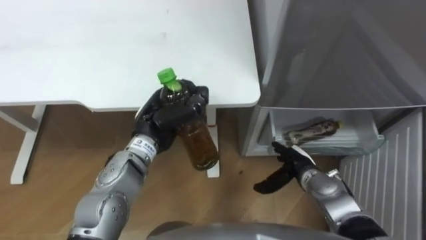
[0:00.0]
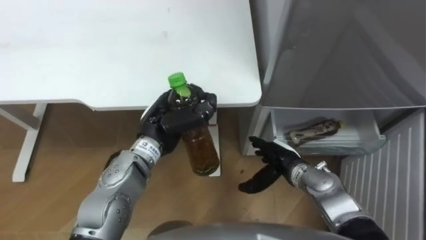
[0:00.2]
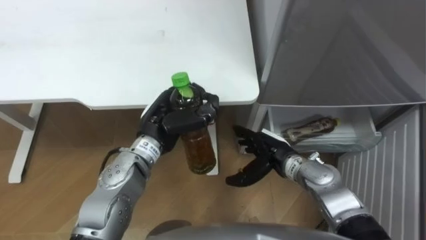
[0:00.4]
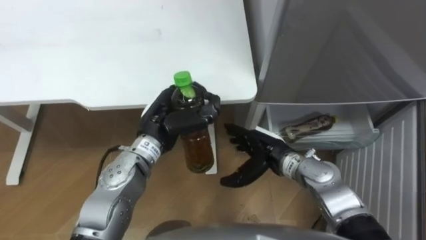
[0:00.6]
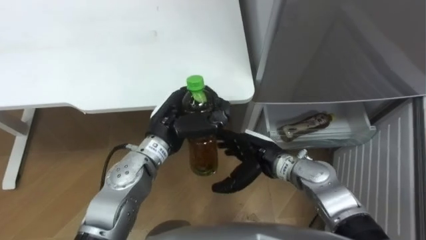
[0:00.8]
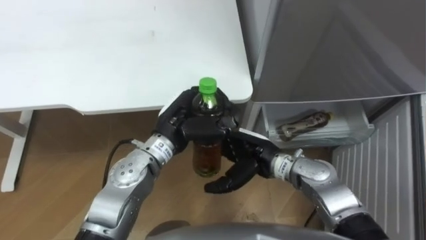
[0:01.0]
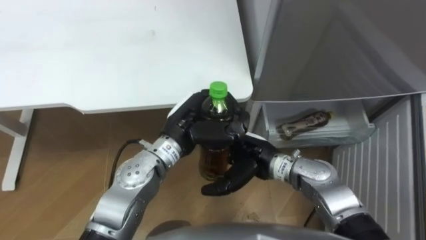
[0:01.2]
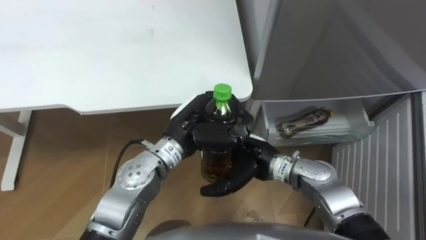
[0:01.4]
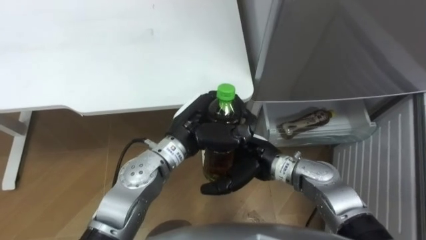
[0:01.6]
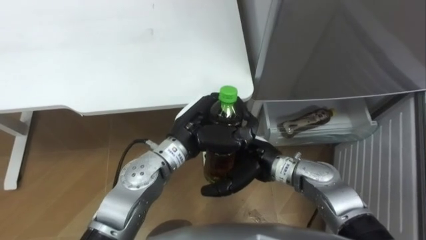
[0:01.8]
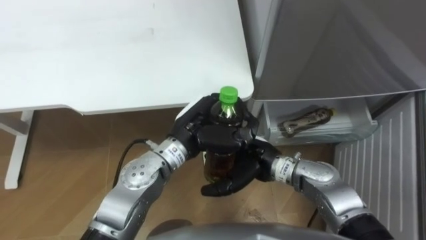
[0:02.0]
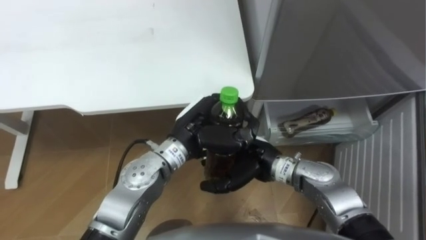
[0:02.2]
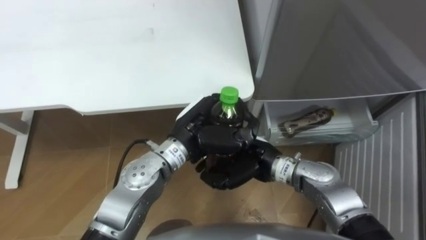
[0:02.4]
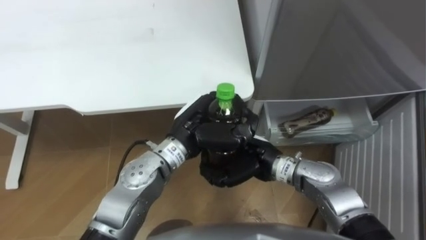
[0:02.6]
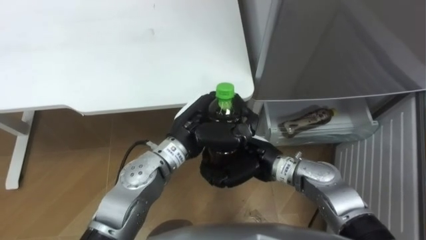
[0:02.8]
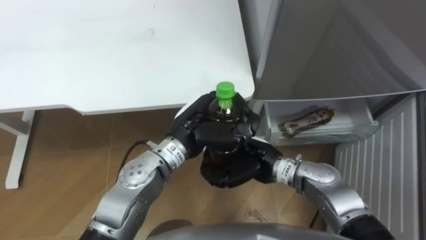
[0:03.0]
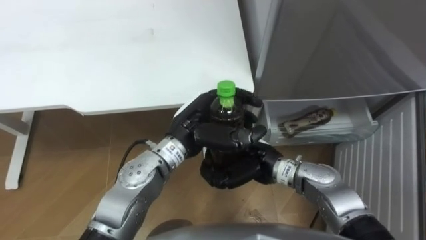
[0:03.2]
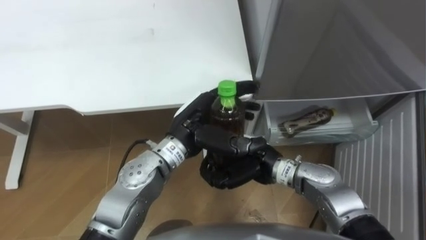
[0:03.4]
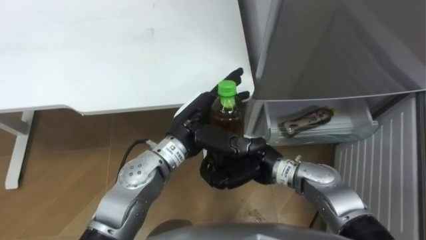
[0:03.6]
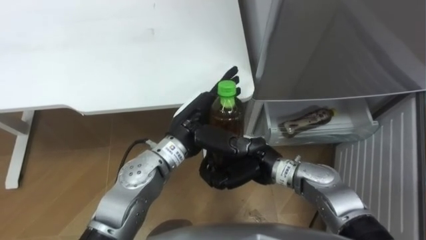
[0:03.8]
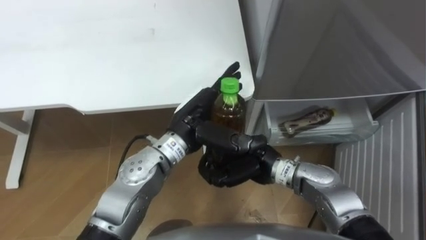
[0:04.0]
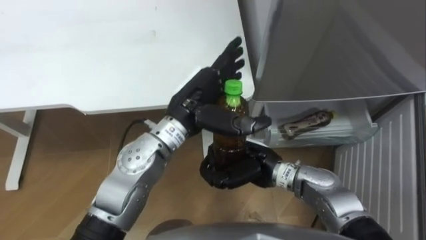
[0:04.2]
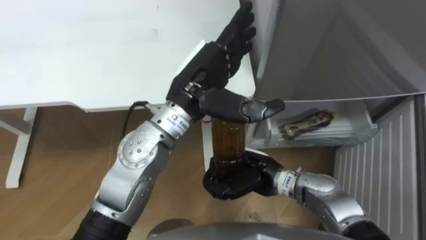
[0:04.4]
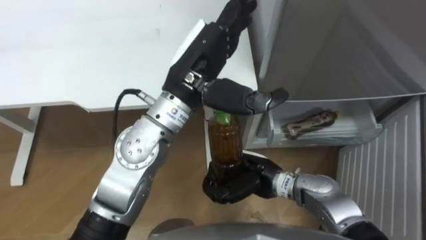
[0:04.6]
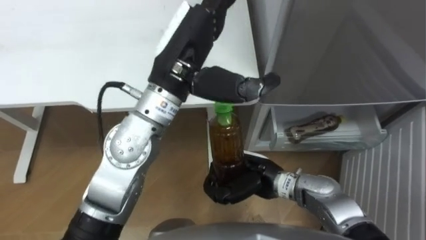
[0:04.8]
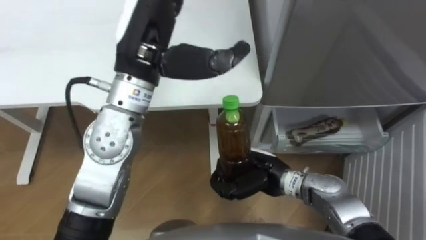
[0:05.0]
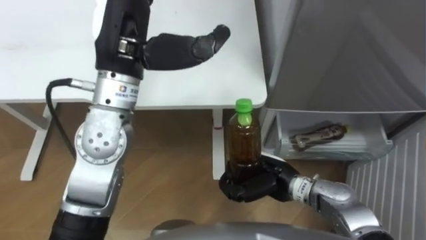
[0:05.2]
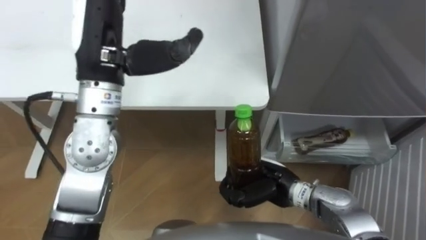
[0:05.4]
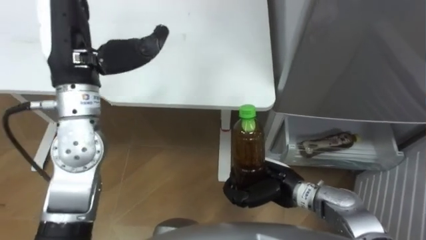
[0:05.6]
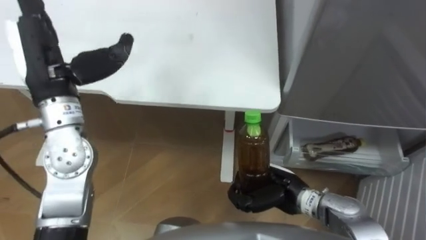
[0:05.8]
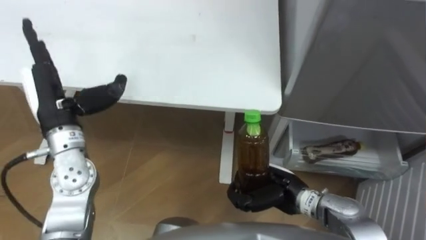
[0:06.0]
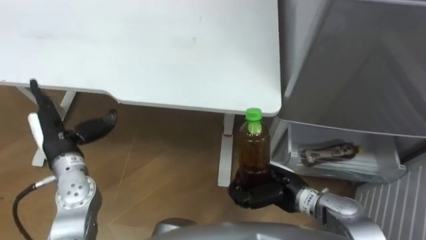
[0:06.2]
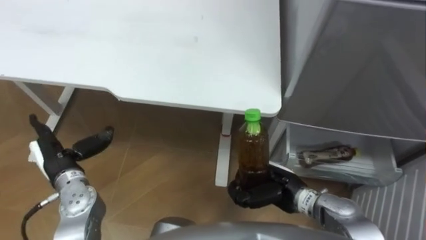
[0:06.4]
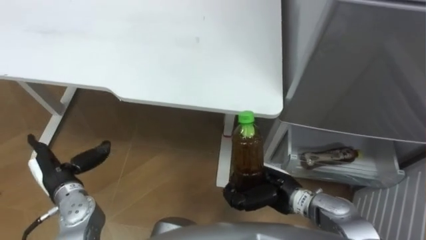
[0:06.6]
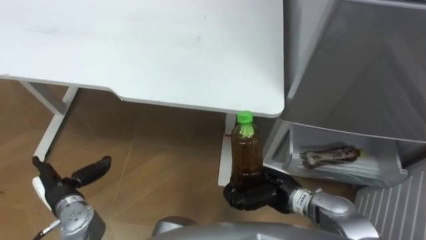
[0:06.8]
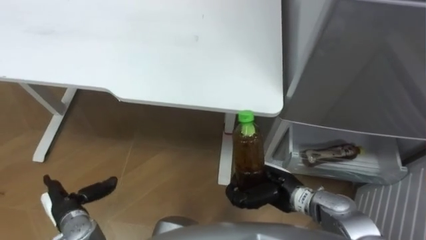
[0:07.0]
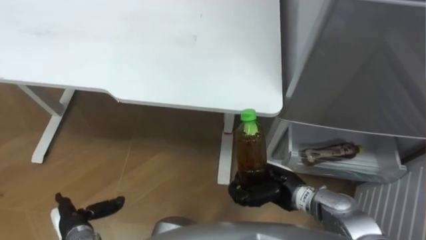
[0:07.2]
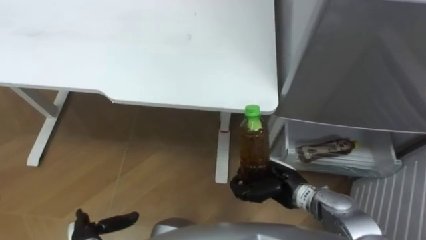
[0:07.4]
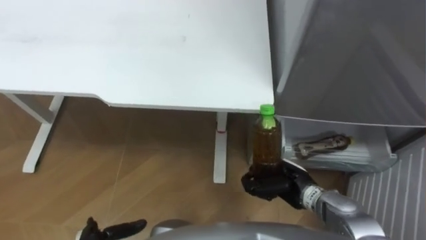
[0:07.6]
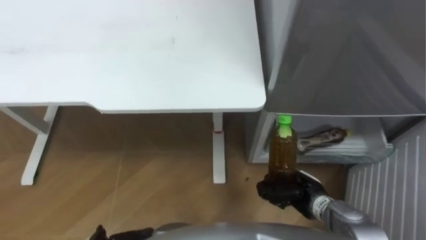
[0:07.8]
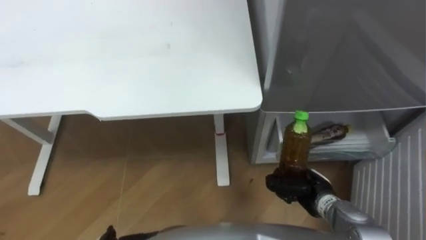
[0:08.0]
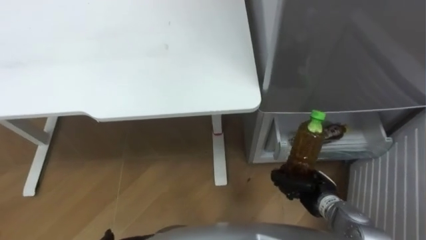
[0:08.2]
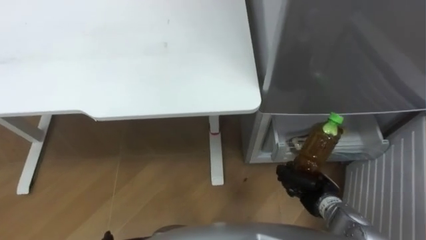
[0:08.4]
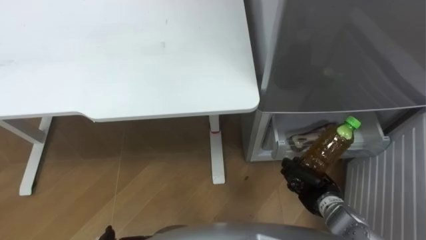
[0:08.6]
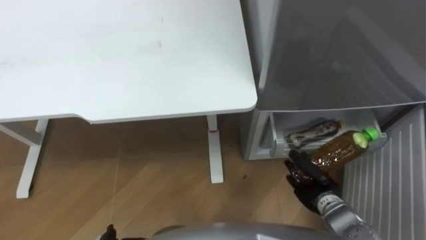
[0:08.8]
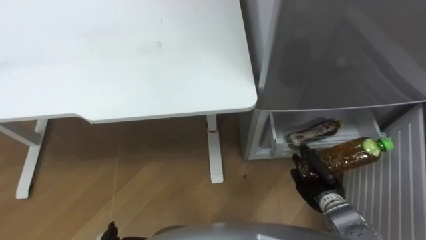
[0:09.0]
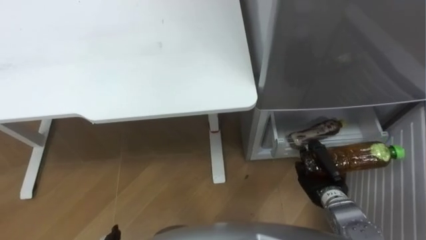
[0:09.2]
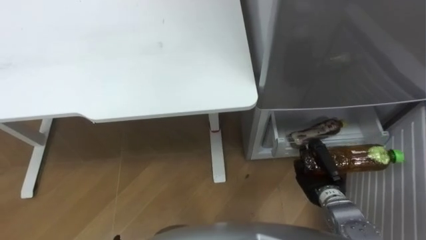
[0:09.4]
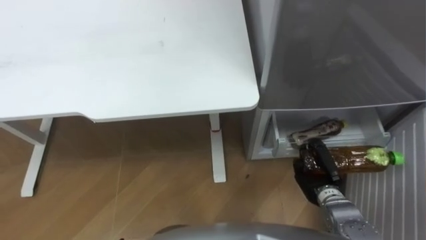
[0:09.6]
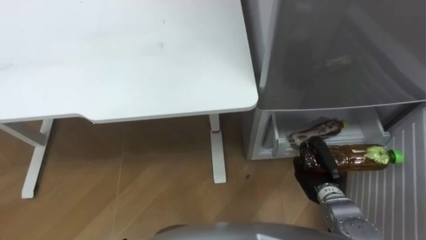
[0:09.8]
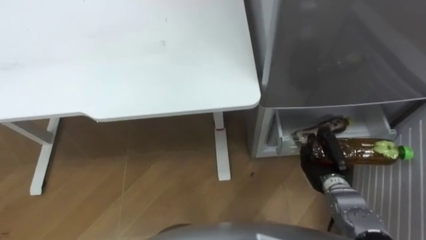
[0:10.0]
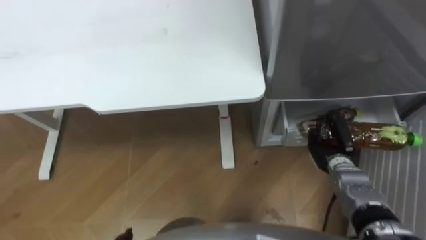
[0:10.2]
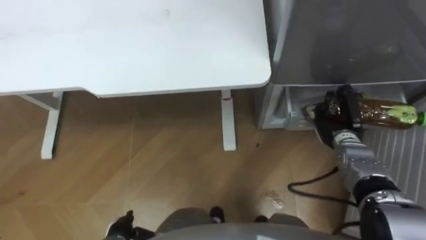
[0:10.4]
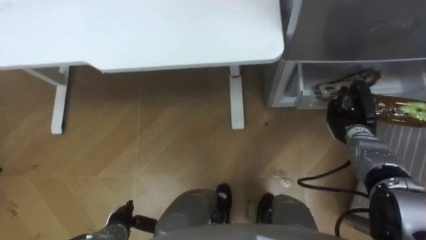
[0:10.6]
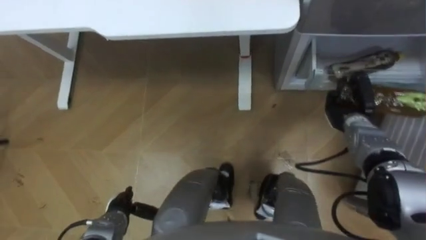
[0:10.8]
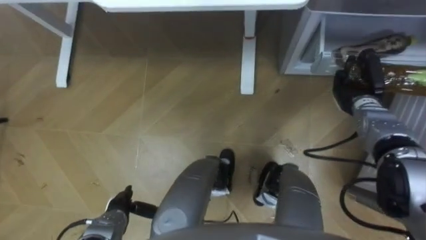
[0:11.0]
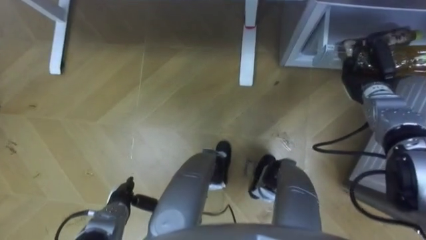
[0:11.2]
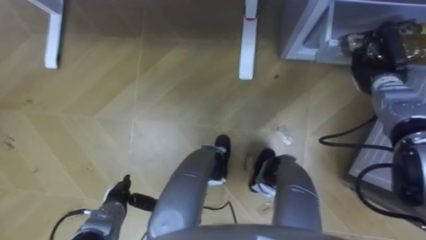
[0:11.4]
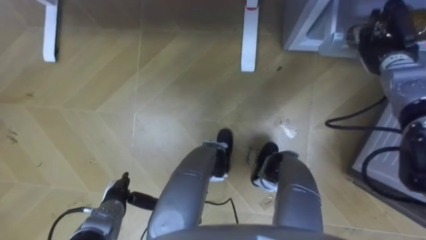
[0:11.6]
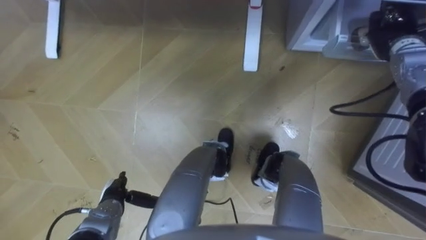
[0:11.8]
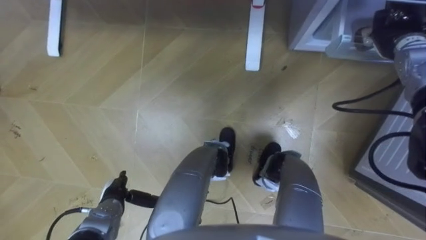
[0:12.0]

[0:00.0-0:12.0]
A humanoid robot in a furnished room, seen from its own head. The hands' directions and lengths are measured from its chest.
Task of the whole recording: Place the drink on the table on the bottom shelf of the refrigerator, then close the drawer and the refrigerator door.
0:00.0 to 0:01.6: The left hand goes about 5 cm to the right. The right hand travels to the left and upward by about 15 cm.
0:01.6 to 0:03.0: The right hand closes its fingers.
0:03.0 to 0:04.4: The left hand moves upward, some 10 cm, and opens its fingers.
0:04.4 to 0:06.0: The right hand shifts approximately 5 cm to the right, while the left hand travels to the left by roughly 25 cm.
0:07.6 to 0:09.0: The right hand goes some 10 cm to the right.
0:09.0 to 0:10.4: The right hand travels forward by approximately 10 cm.
0:10.4 to 0:12.0: The right hand travels upward, forward and to the right by some 25 cm.

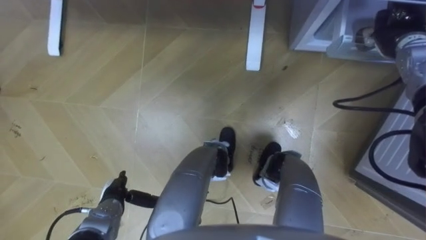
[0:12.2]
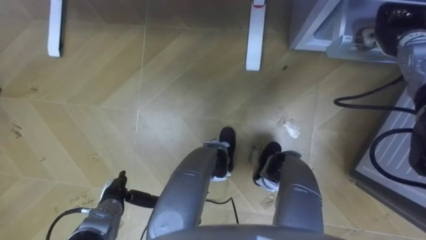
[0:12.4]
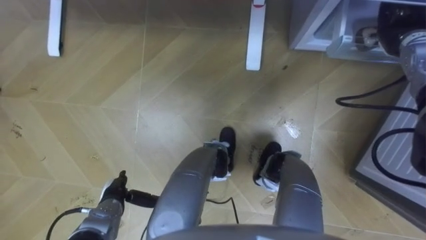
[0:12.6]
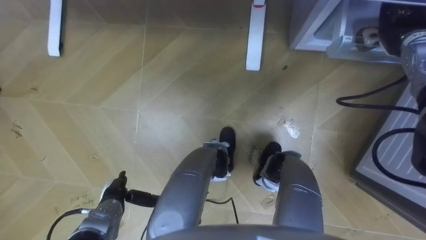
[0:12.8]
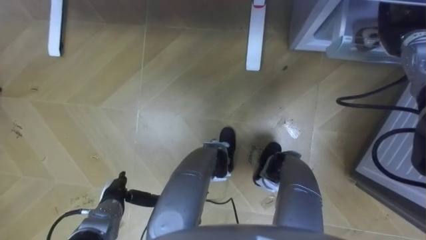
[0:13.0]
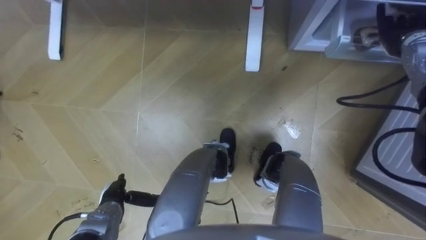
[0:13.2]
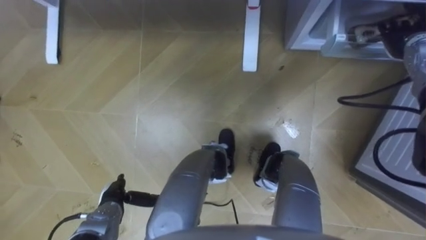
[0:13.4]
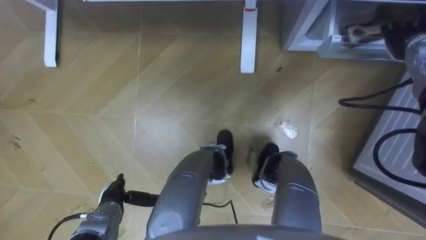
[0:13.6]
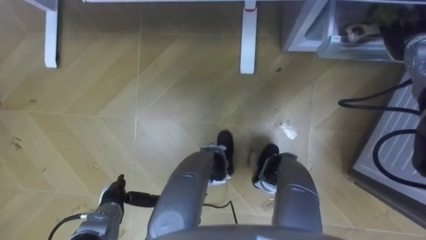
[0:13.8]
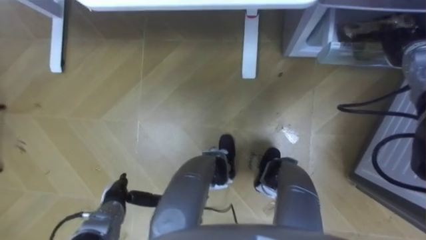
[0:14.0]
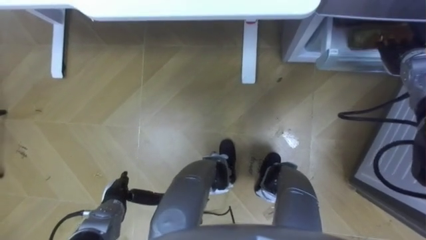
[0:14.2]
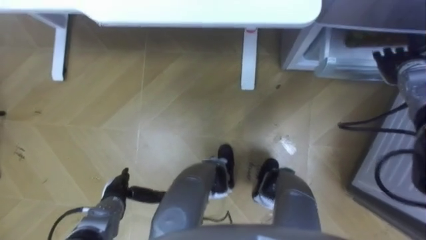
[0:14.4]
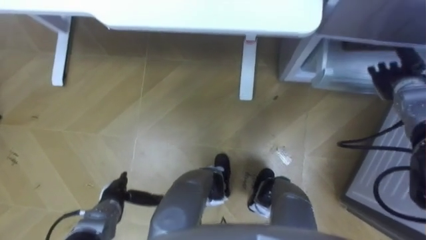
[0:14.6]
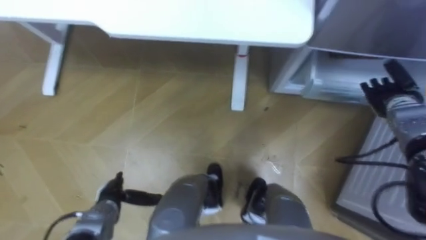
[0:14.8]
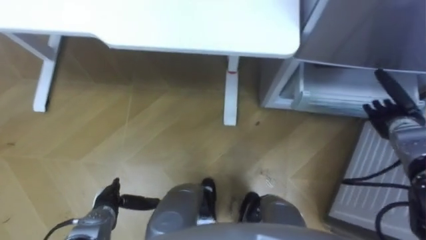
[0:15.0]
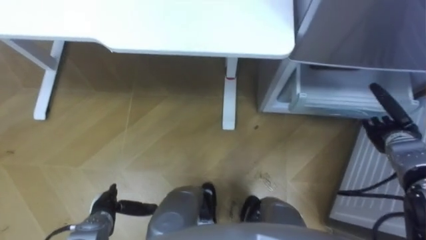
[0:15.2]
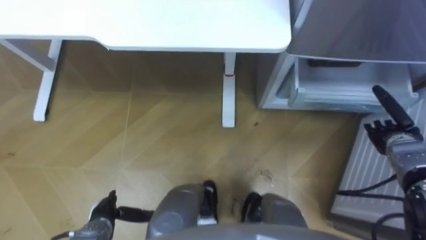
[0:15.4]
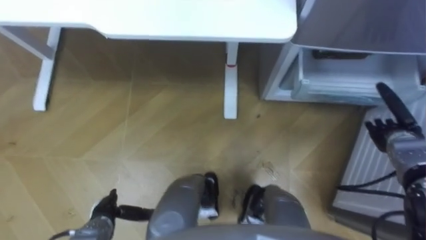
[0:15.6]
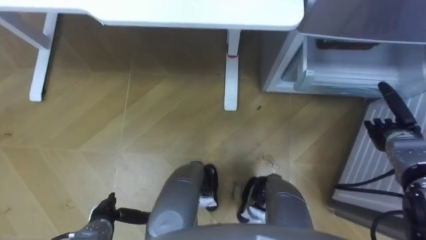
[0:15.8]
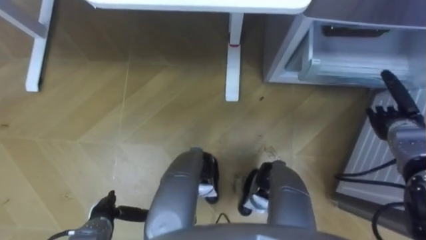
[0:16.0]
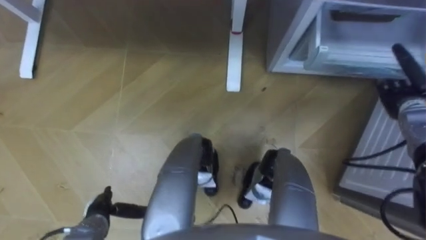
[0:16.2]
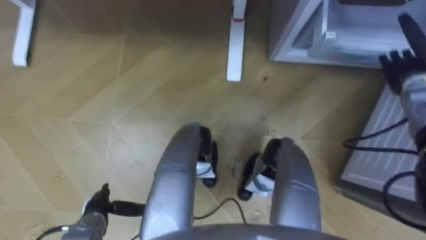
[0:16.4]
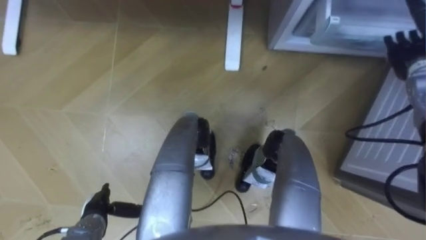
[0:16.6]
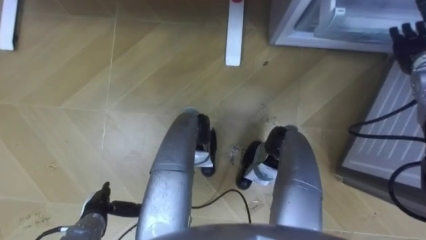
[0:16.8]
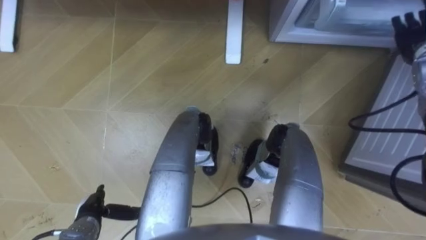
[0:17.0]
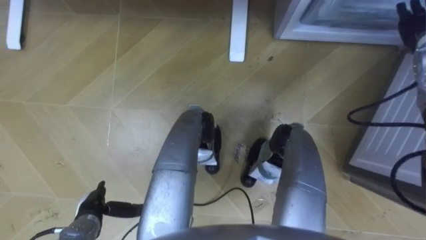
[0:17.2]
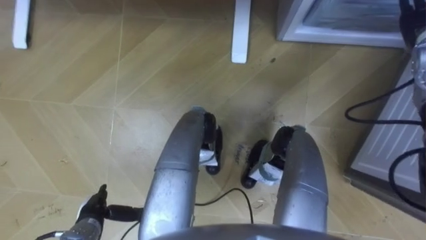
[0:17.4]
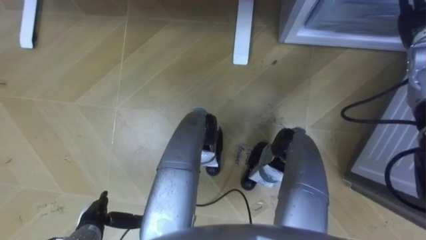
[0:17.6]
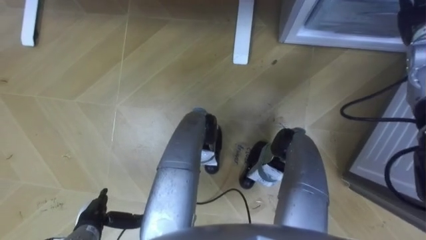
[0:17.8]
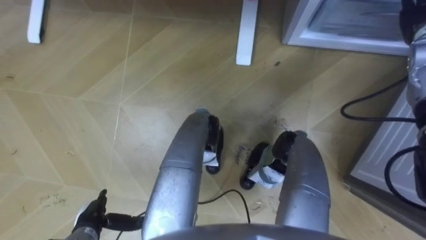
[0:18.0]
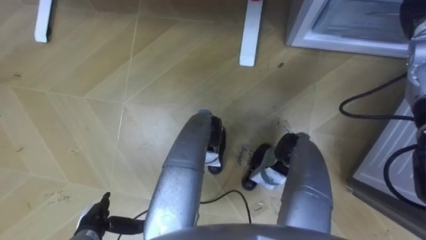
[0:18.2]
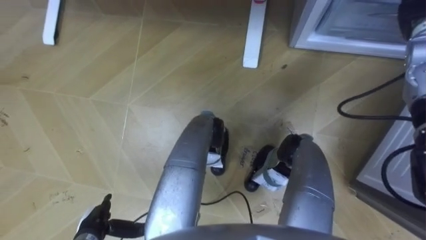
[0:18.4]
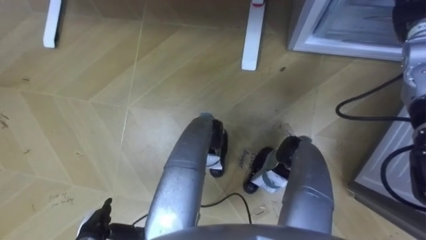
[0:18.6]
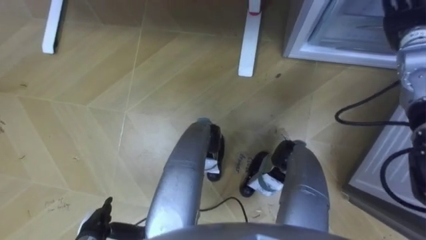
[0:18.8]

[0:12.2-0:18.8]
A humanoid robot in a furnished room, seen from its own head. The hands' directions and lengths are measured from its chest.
Task of the whole recording: Place the drink on the table on the bottom shelf of the refrigerator, then close the drawer and the refrigerator door.
0:12.2 to 0:13.8: The right hand opens its fingers.
0:13.8 to 0:15.4: The right hand travels downward and backward by roughly 20 cm.
0:15.4 to 0:17.2: The right hand moves upward and forward, some 20 cm.
